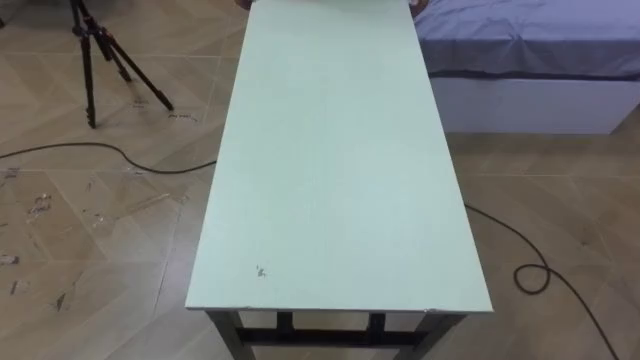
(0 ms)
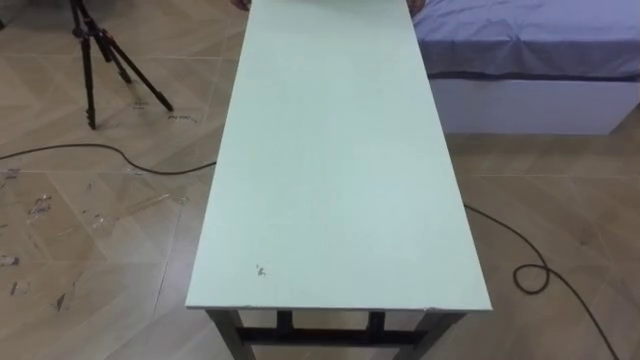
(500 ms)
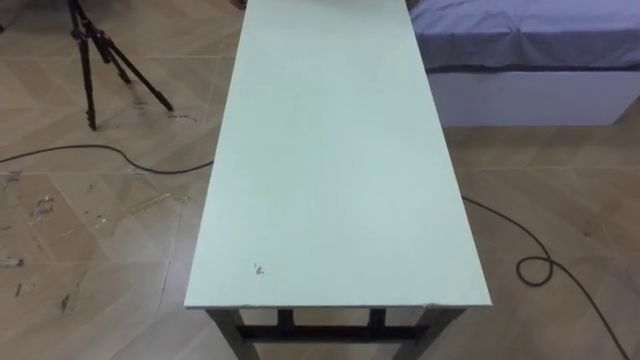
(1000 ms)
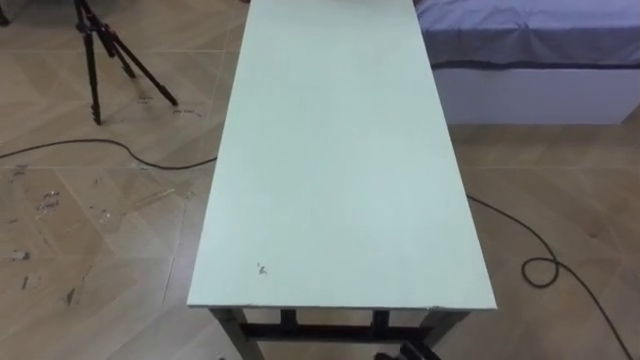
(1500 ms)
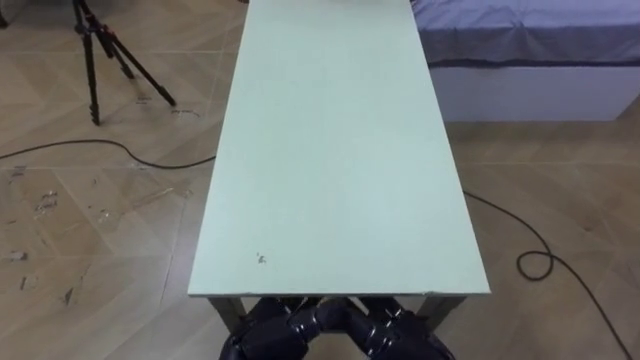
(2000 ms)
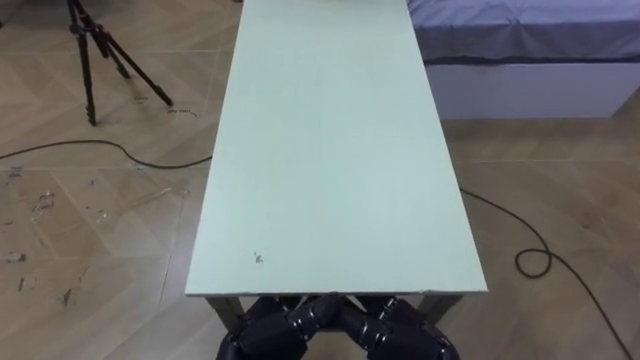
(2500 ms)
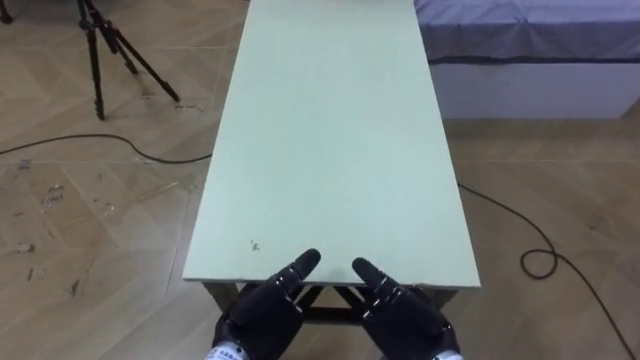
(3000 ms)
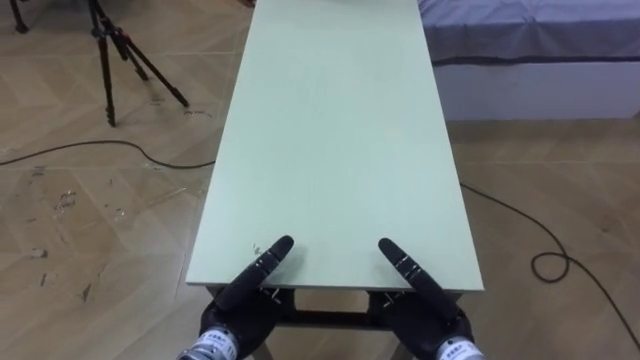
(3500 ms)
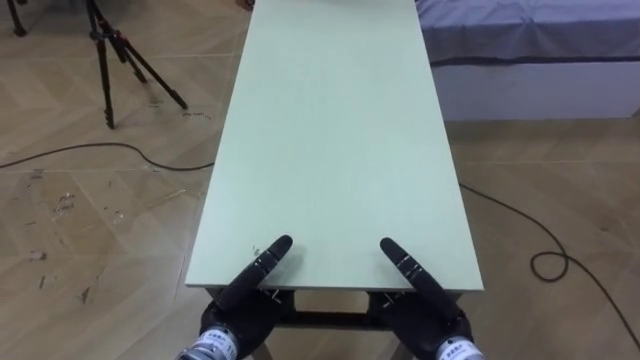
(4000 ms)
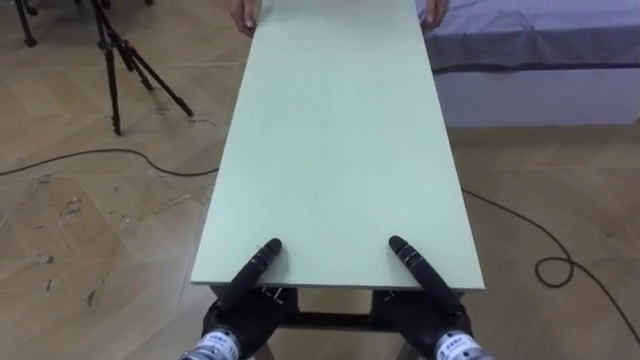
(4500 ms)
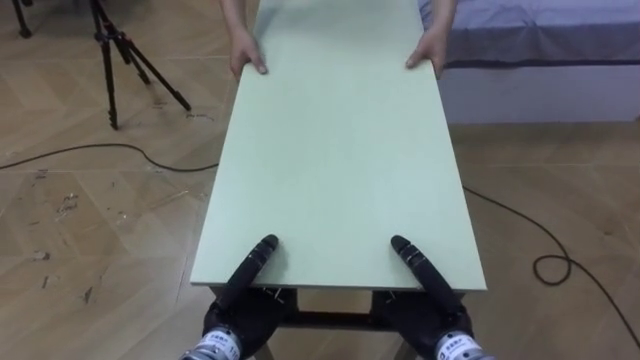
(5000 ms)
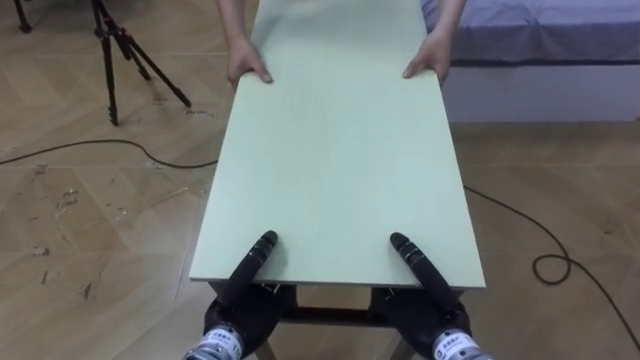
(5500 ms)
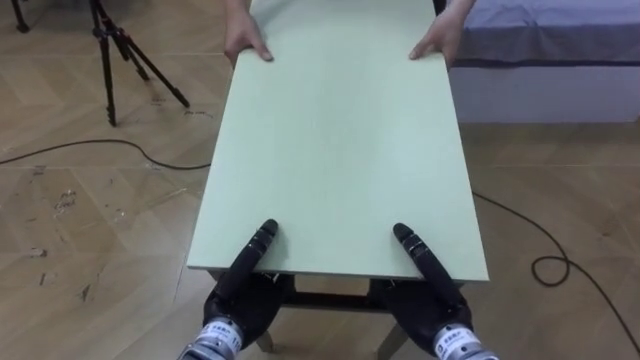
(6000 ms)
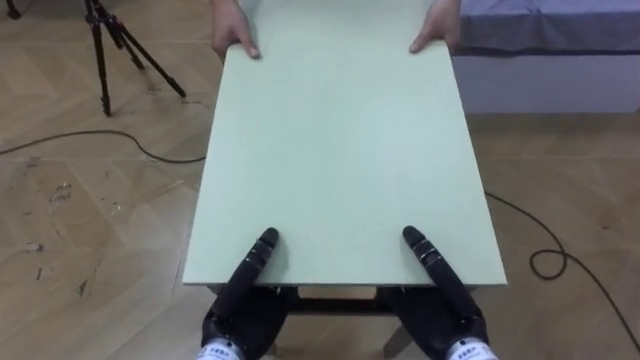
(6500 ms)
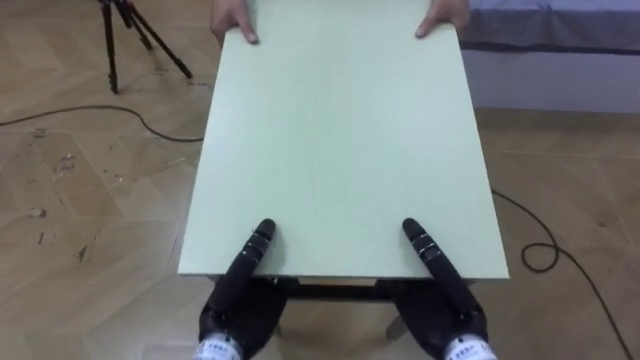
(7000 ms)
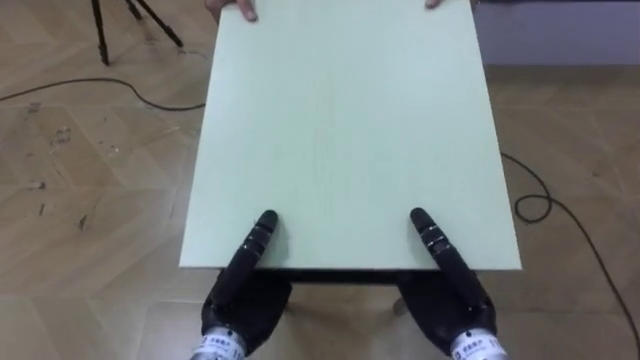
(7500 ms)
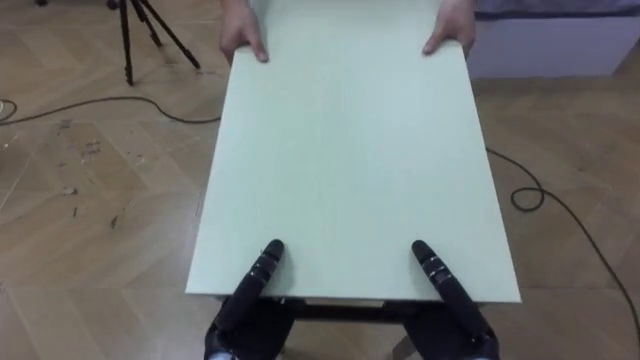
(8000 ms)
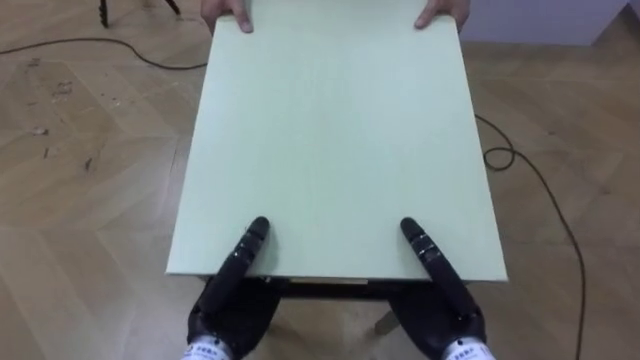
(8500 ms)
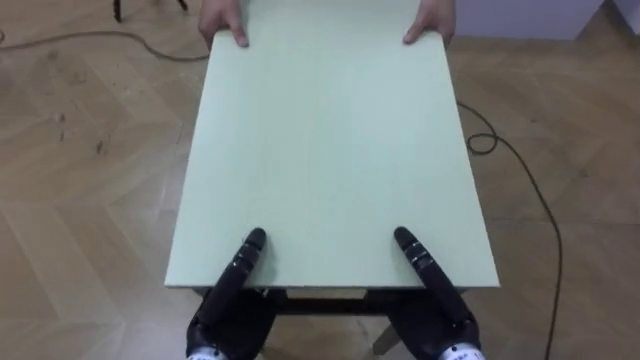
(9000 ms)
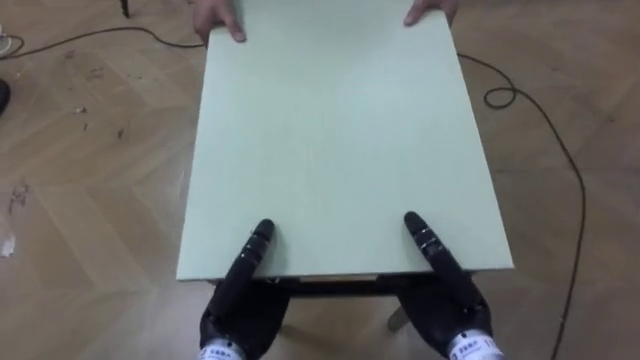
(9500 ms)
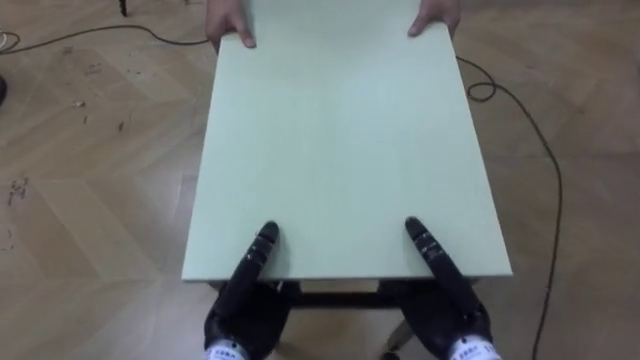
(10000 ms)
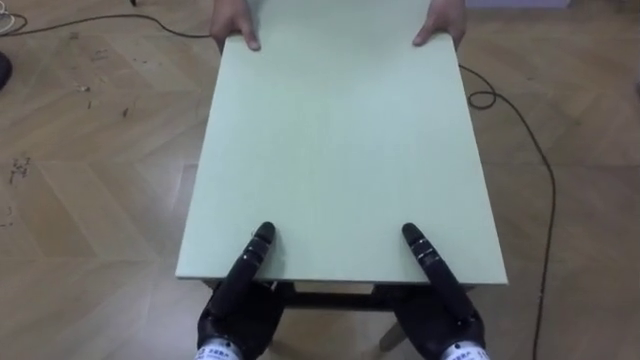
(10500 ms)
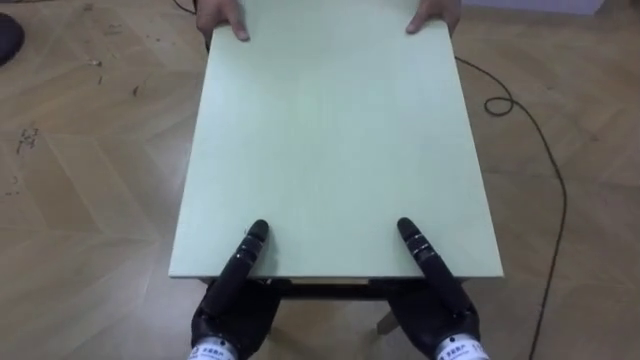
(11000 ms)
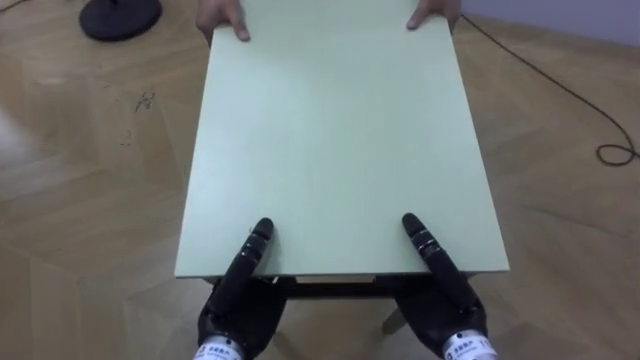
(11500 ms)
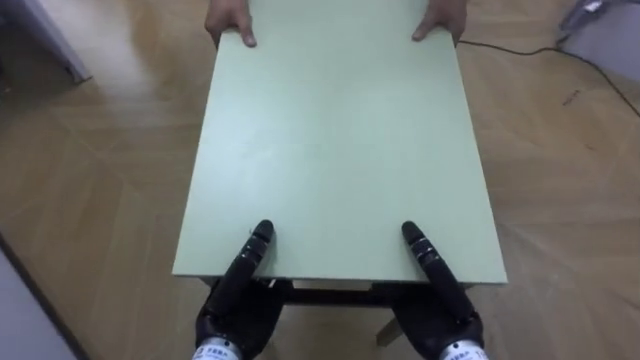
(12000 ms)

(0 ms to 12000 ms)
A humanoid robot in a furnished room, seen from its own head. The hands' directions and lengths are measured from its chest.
Task of the whole recording: Move the table to the back left with someone.
2000 ms - 4000 ms: The right hand changes place by roughly 5 cm, while the left hand ends up about 5 cm from where it was.
4000 ms - 6000 ms: The right hand closes its fingers. The left hand closes its fingers.
10000 ms - 12000 ms: The robot rotates roughly 45 degrees to its left.

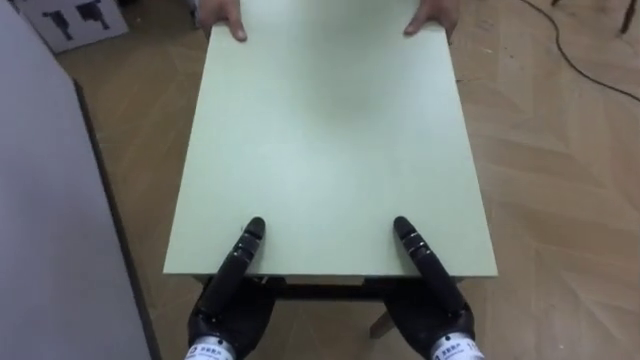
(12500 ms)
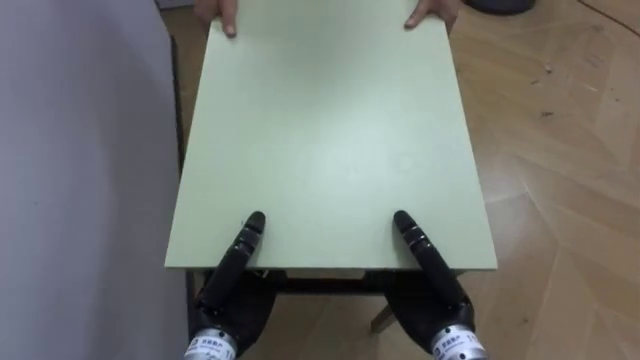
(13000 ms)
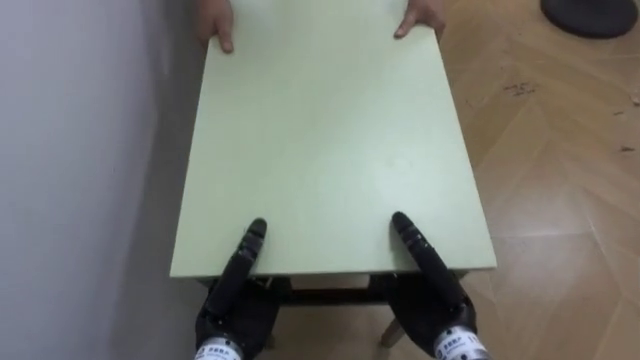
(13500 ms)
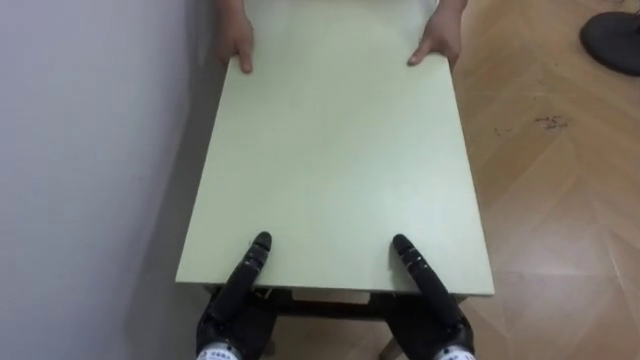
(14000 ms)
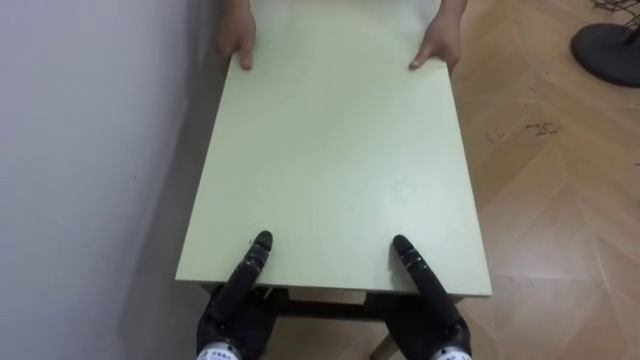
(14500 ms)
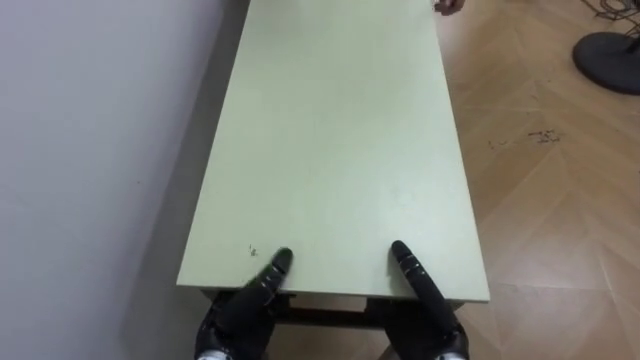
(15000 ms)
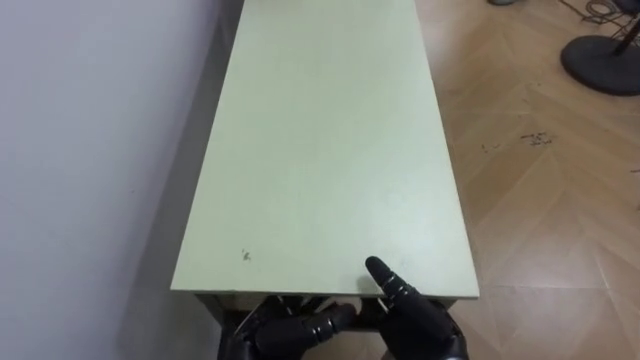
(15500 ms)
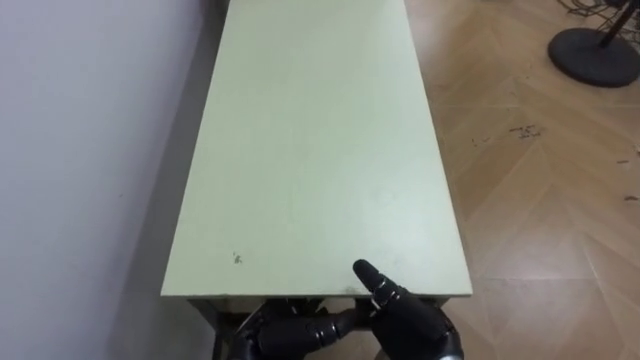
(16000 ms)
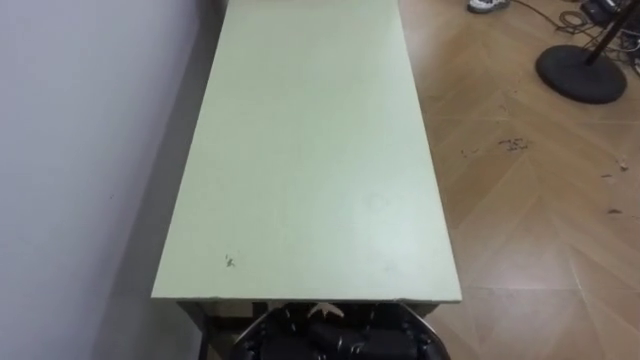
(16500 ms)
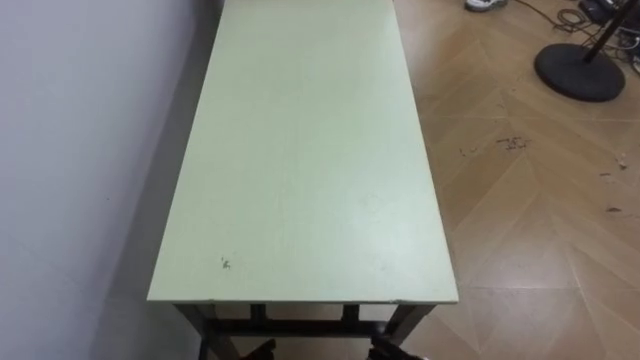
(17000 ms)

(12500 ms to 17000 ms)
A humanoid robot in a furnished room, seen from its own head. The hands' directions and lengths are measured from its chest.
Task of the whole recording: Move the table to the back left with someone.
12500 ms - 14500 ms: The robot turns to its left by some 35 degrees.
